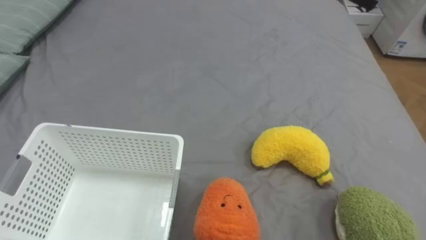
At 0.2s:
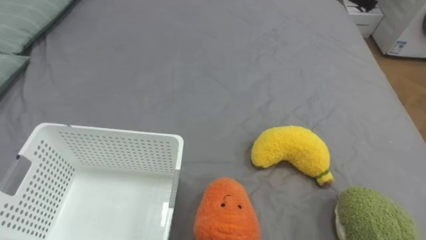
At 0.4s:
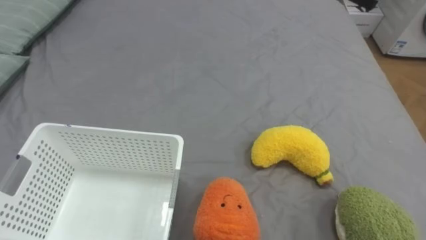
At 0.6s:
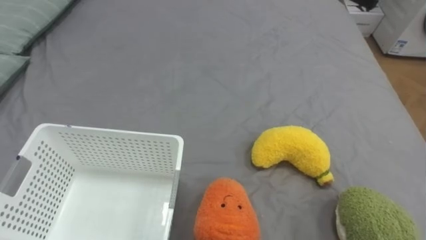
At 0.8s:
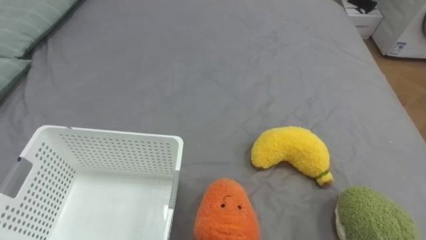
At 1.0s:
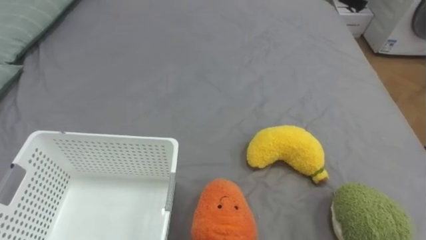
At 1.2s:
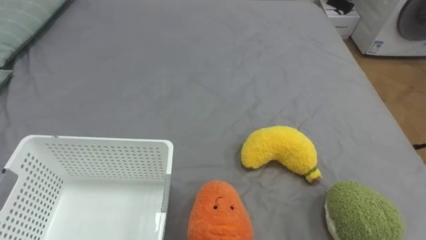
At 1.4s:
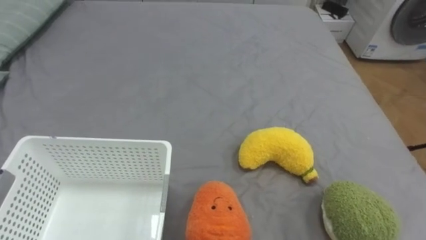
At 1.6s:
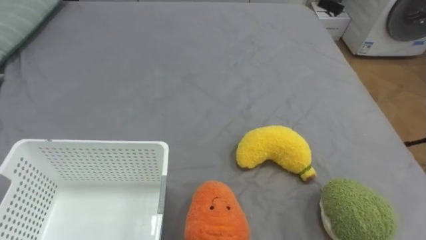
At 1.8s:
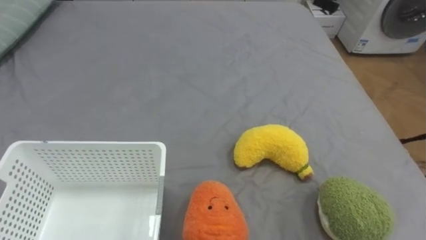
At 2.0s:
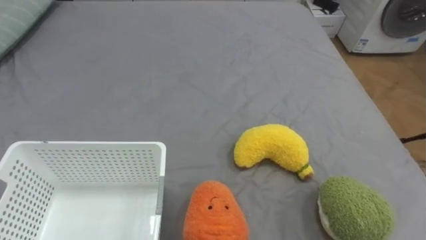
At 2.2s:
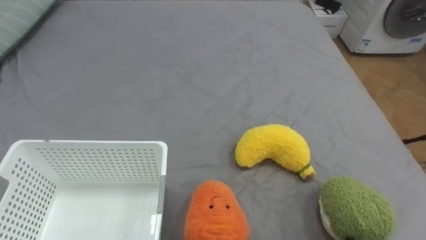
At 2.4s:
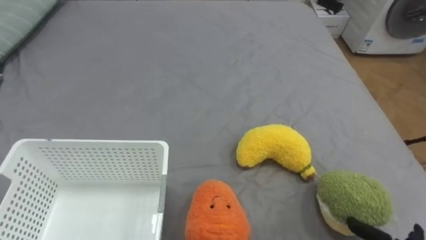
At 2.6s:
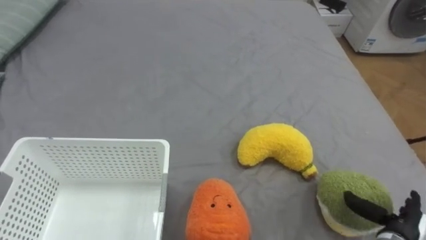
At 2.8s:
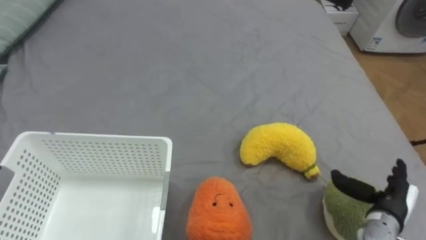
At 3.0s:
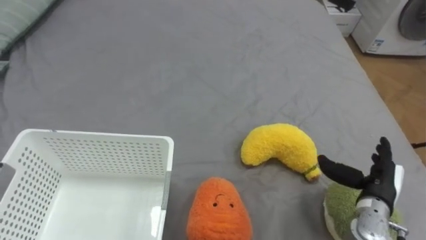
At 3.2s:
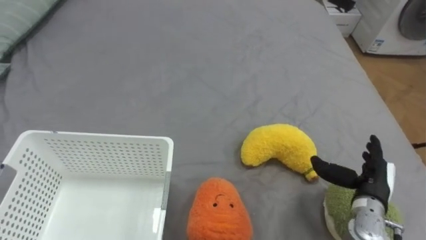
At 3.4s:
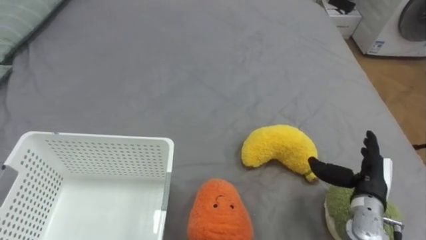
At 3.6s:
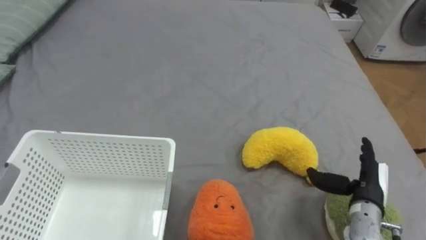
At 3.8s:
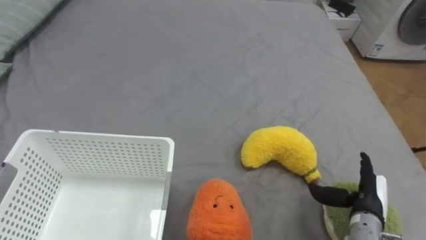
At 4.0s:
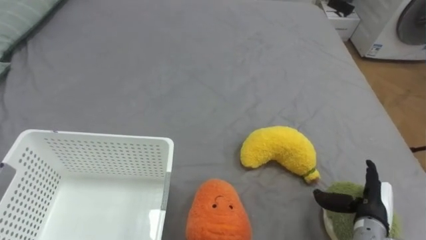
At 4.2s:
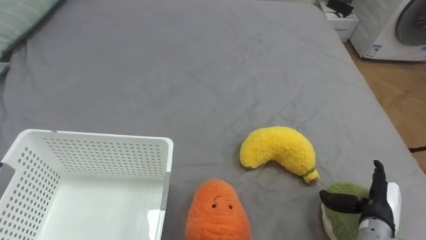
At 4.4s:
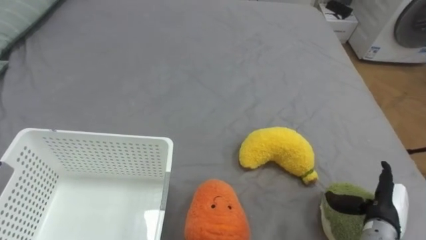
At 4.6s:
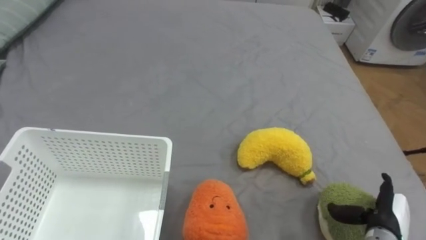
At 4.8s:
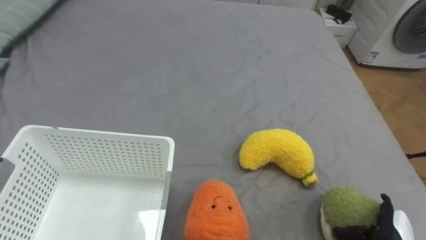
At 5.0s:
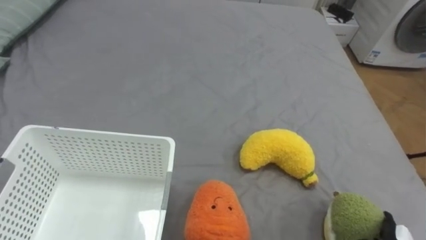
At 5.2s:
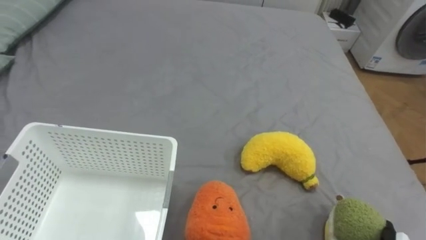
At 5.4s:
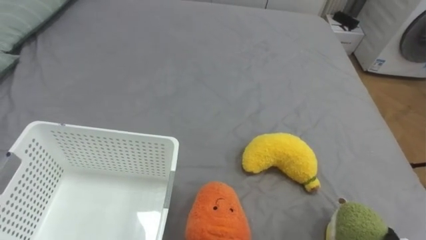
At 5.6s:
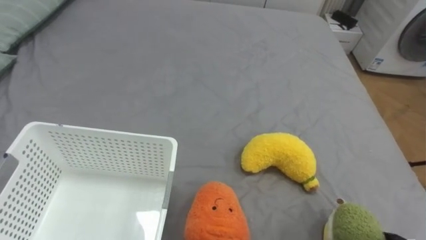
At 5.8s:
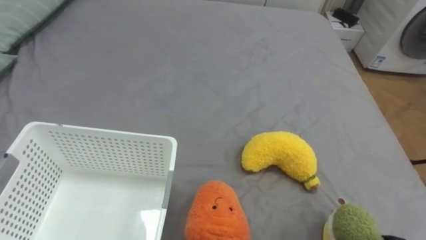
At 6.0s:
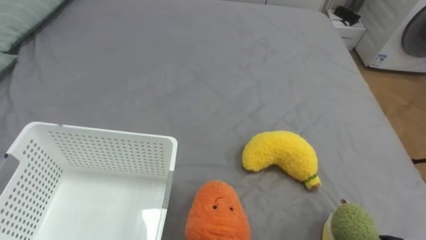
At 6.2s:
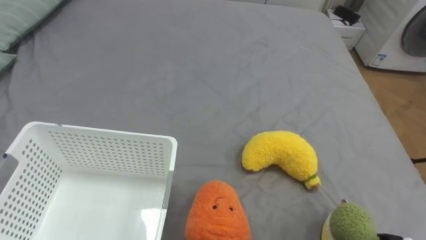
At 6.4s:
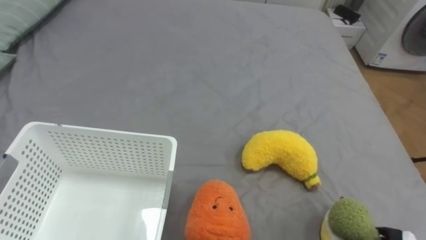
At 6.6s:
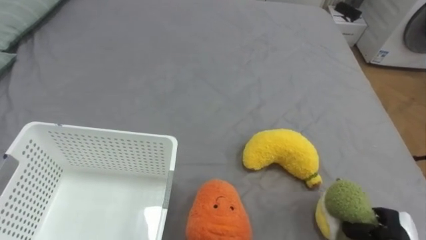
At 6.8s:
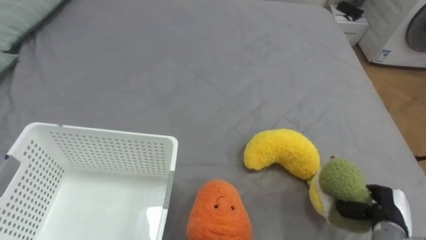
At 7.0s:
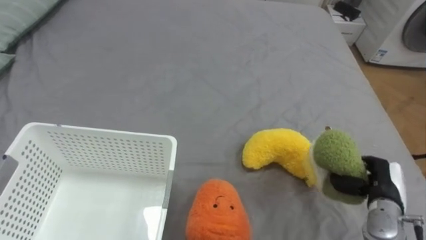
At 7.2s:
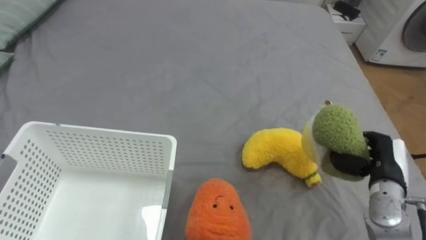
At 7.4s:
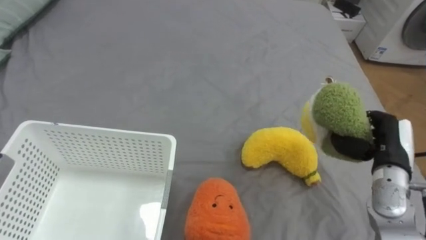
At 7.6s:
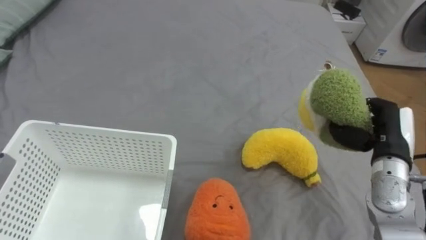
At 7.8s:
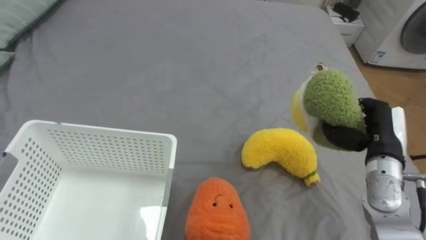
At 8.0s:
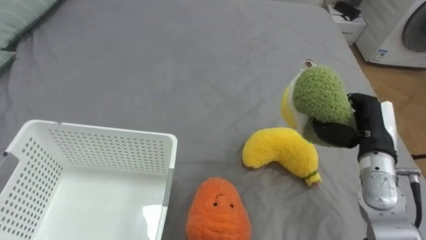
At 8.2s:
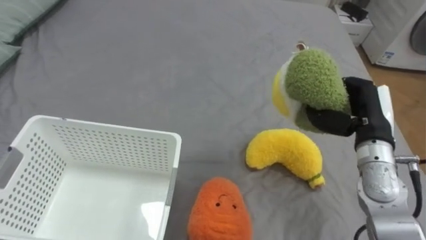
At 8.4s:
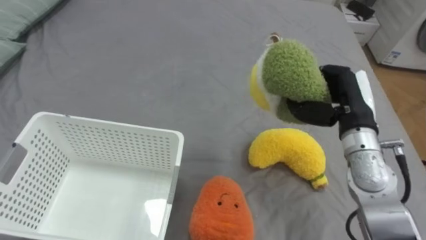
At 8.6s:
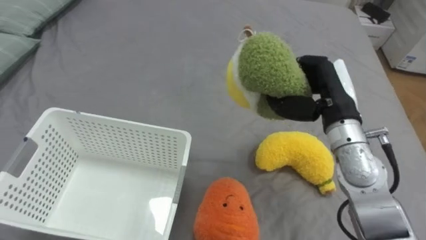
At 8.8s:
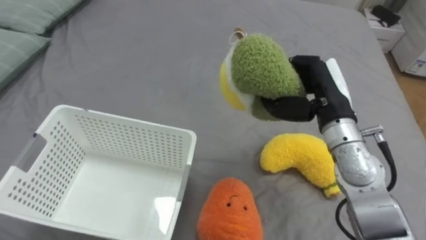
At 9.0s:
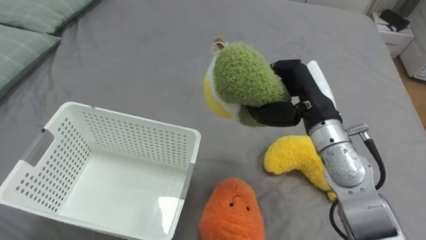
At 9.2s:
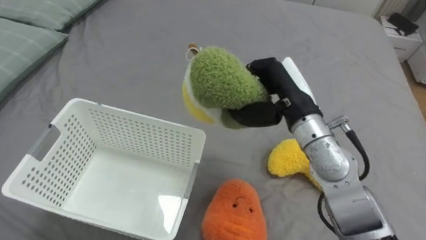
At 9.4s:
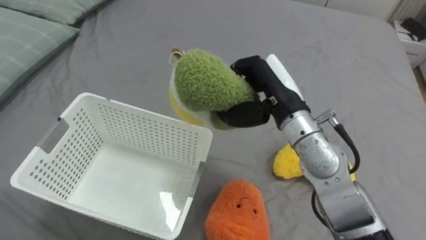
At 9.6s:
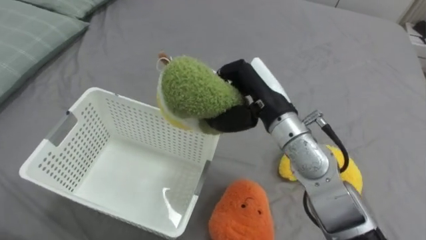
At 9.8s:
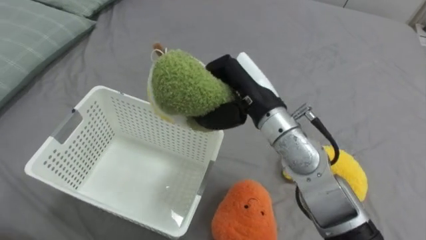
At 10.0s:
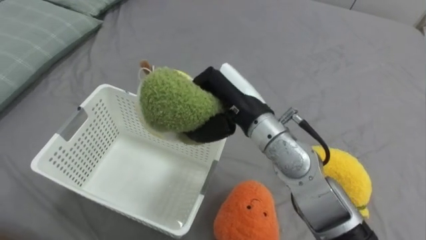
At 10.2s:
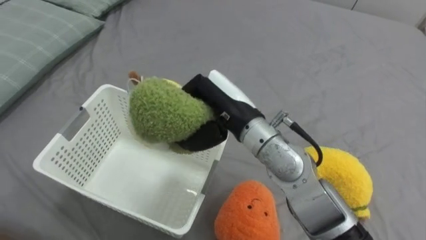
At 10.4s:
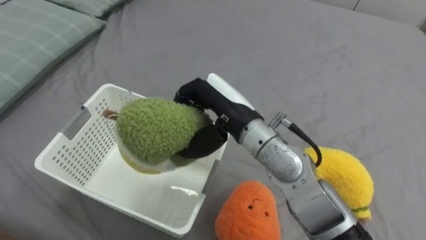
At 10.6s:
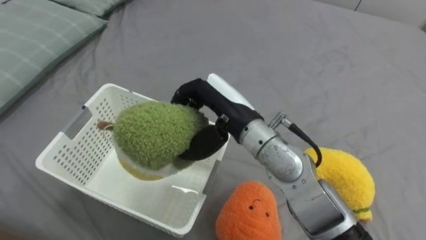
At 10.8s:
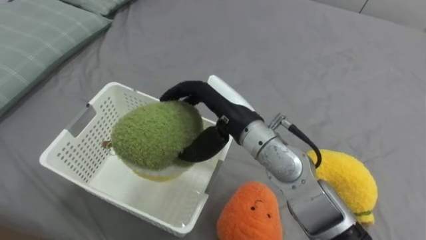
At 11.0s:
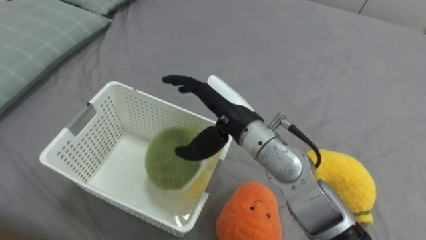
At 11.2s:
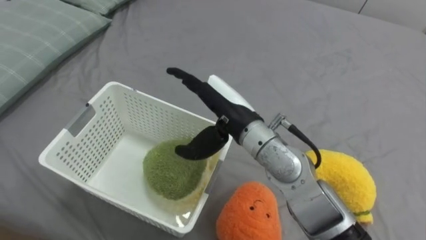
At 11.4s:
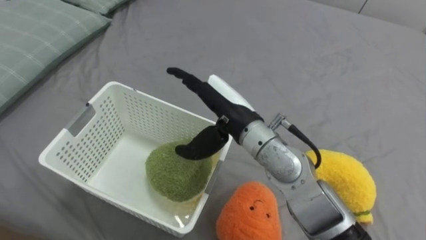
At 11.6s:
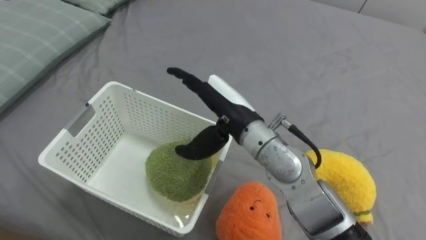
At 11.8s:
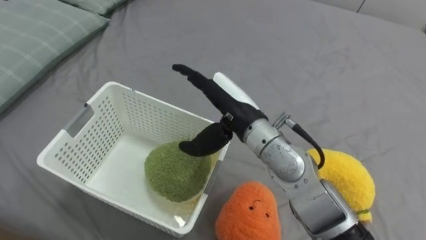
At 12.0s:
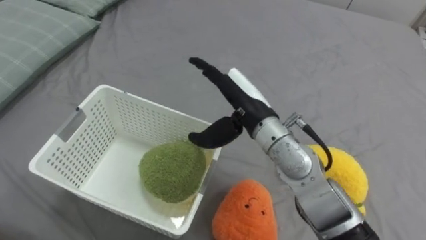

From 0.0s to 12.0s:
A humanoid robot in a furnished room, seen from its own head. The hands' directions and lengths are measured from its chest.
Task of the whole recording: Put the toys on the bed into the basket on the left.
From 7.6s to 9.0s: The right hand shifts approximately 15 cm to the left and upward.
From 9.0s to 10.4s: The right hand travels to the left by roughly 15 cm.
From 10.4s to 12.0s: The right hand opens its fingers.

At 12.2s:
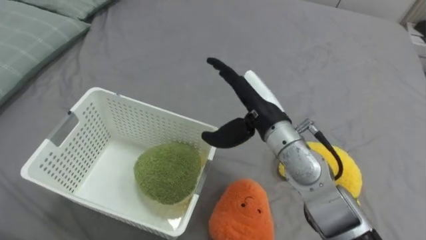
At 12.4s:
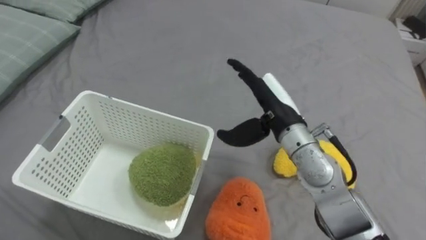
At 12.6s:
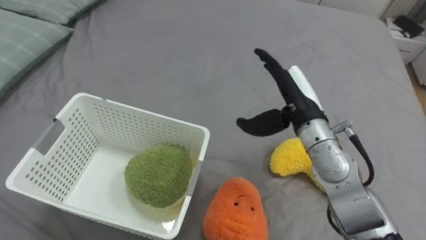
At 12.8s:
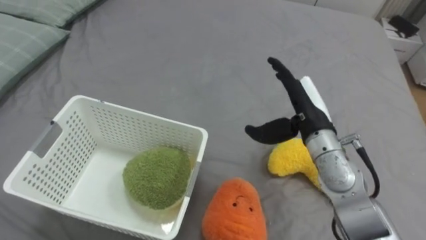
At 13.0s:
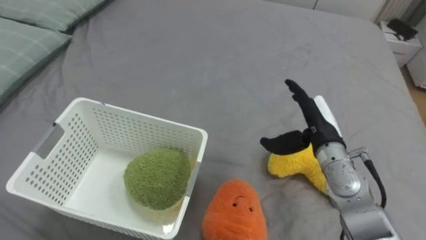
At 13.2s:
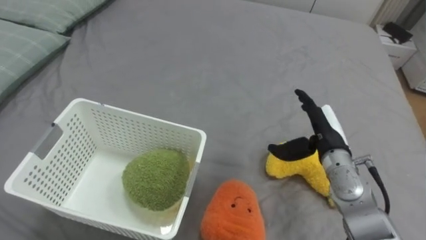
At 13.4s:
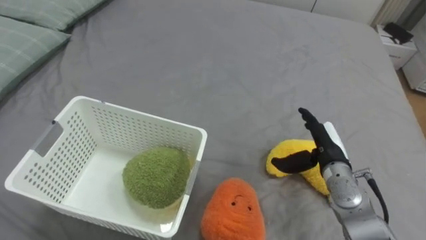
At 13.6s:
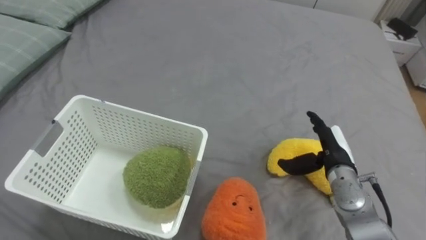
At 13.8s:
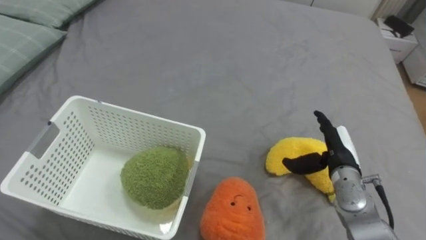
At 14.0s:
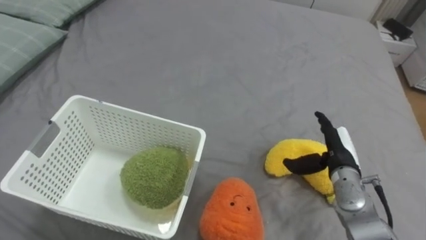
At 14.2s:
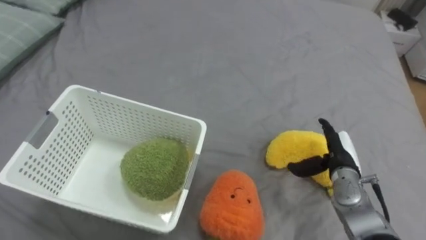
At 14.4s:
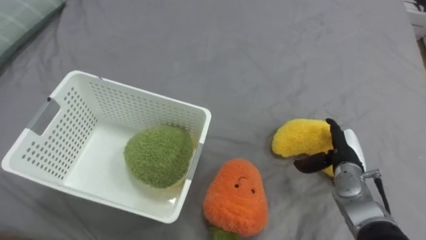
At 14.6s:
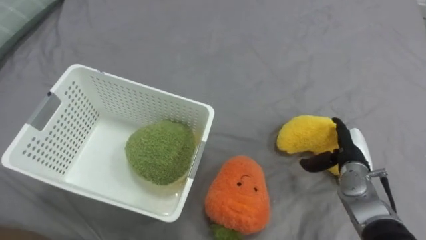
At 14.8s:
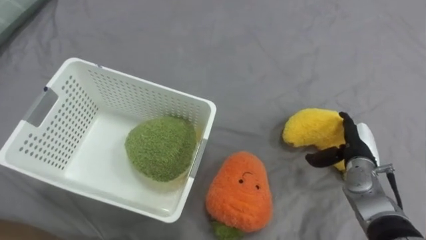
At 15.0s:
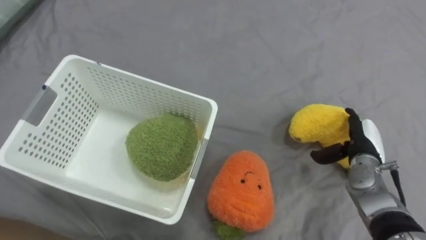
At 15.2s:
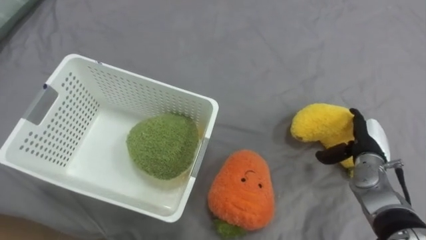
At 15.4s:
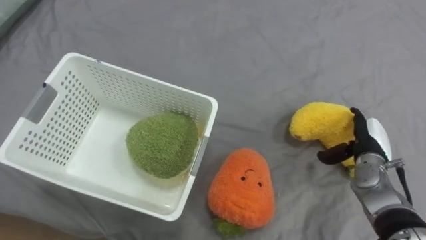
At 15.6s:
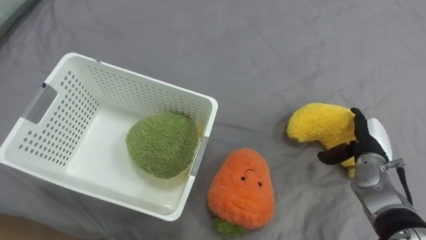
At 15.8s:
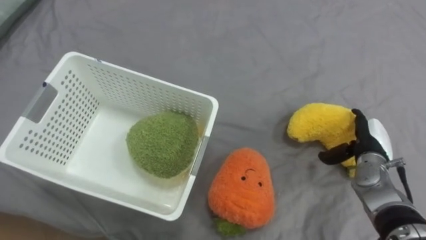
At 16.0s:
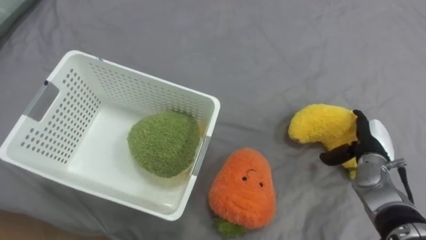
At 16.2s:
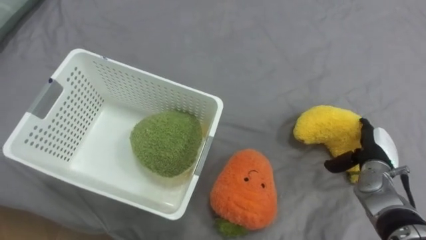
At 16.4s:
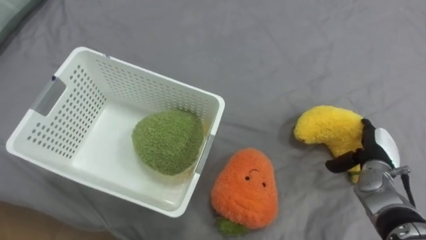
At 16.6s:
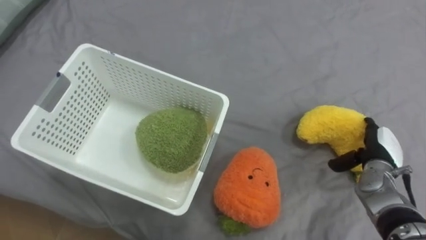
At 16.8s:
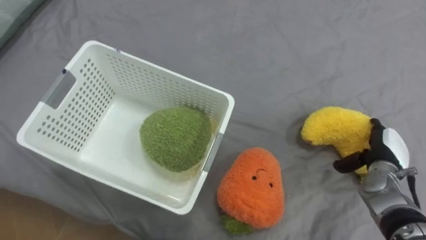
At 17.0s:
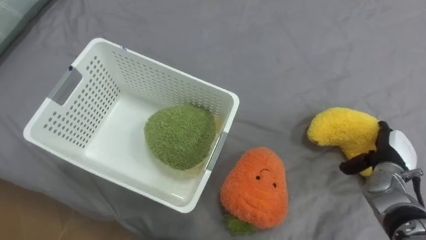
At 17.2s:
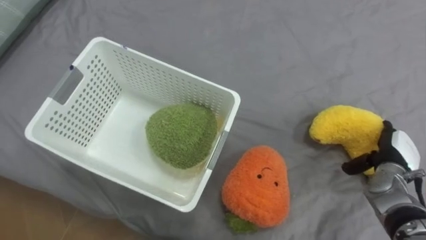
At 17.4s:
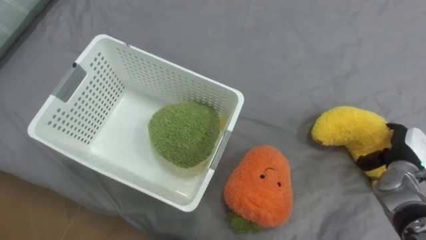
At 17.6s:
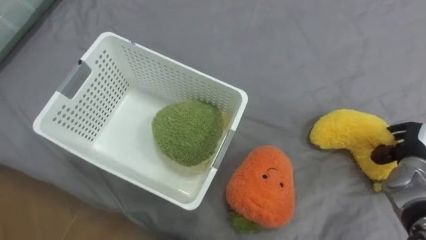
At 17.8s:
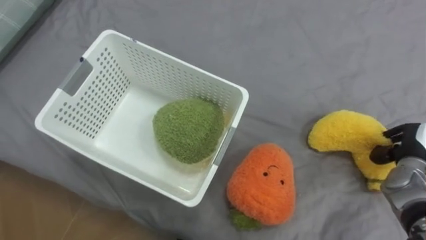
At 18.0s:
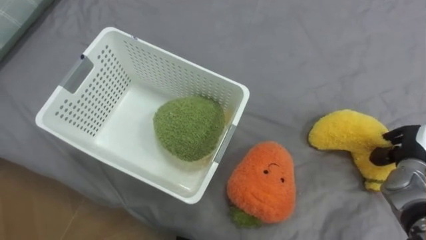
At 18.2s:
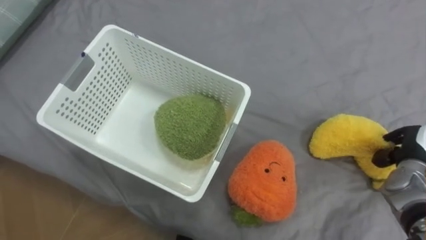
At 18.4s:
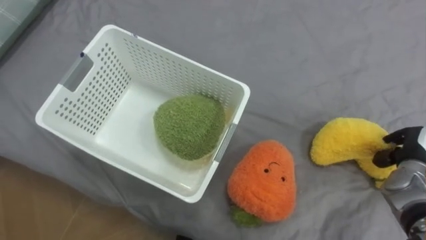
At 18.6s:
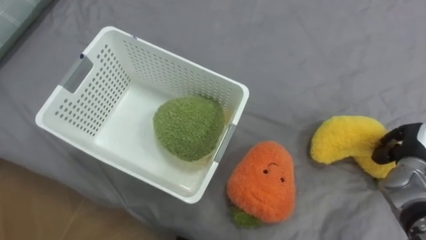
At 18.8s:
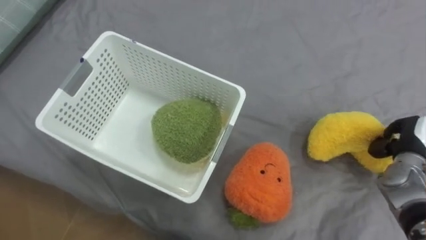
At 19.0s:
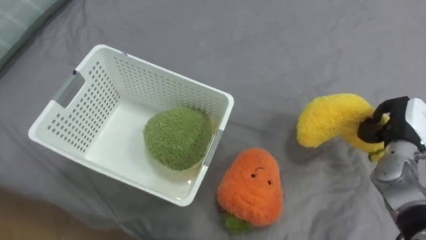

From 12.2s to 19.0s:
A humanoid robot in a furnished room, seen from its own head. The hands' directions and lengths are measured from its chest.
Task of the whole recording: Put the toys on the bed into the basket on the left.
From 12.2s to 13.6s: The right hand shifts roughly 20 cm to the right and downward.
From 13.6s to 15.0s: The right hand is displaced to the right by about 5 cm.
From 16.2s to 17.6s: The right hand goes approximately 5 cm to the right, and closes up.
From 17.6s to 19.0s: The right hand moves approximately 5 cm, and closes up.
